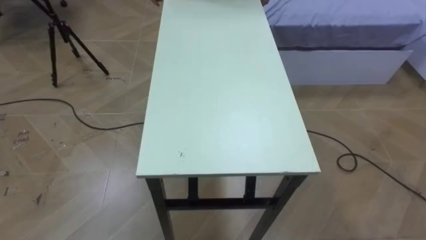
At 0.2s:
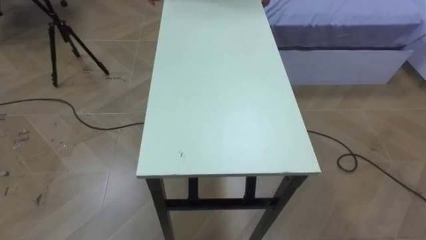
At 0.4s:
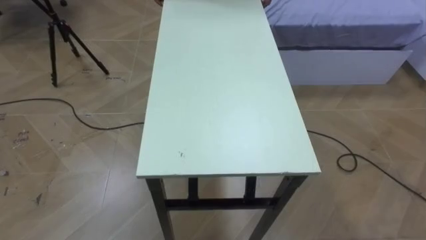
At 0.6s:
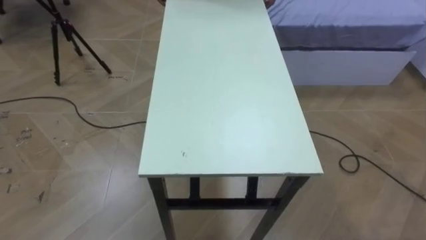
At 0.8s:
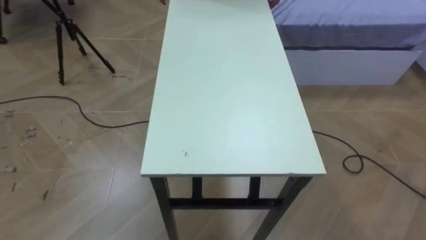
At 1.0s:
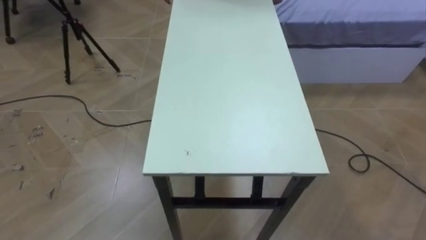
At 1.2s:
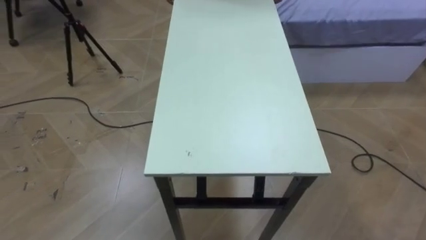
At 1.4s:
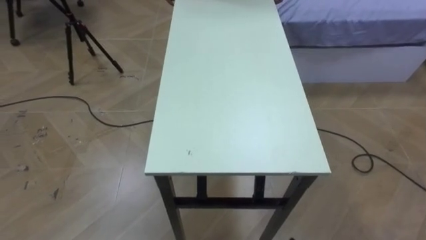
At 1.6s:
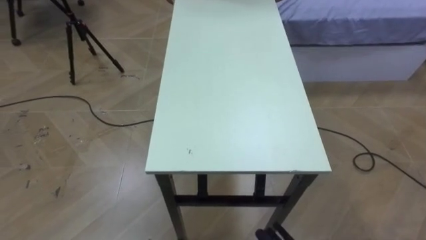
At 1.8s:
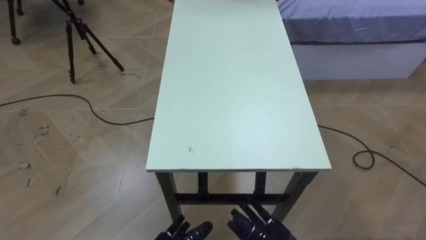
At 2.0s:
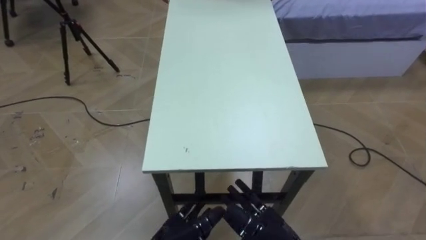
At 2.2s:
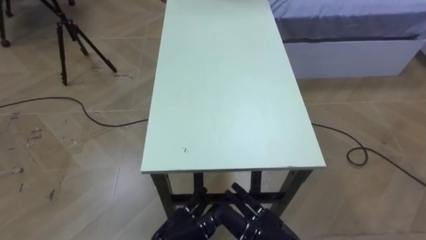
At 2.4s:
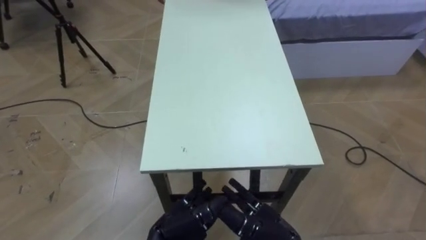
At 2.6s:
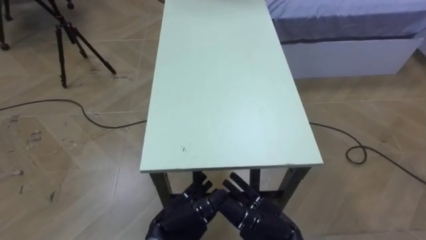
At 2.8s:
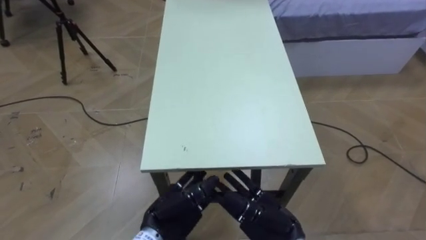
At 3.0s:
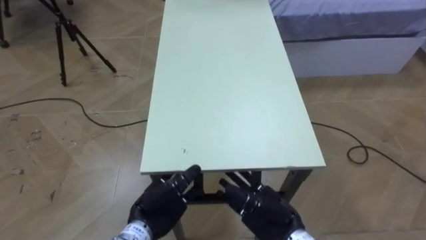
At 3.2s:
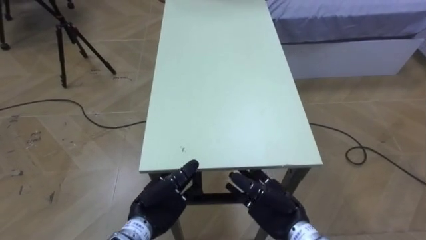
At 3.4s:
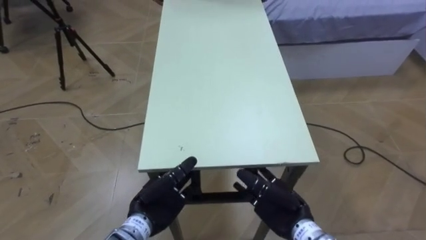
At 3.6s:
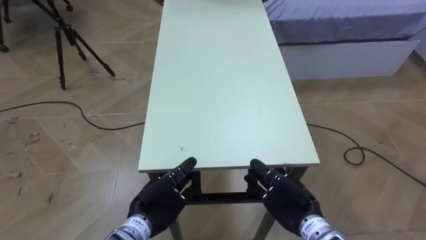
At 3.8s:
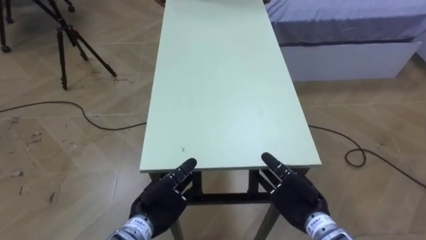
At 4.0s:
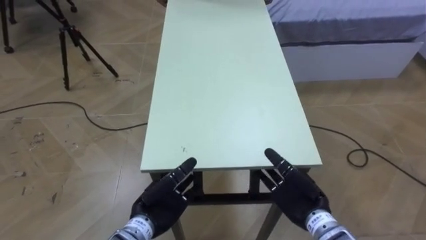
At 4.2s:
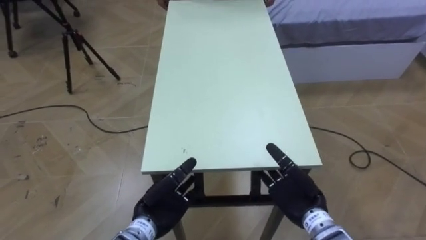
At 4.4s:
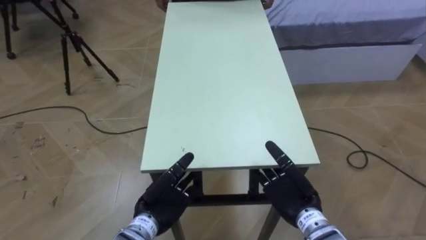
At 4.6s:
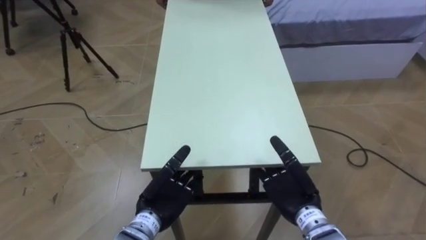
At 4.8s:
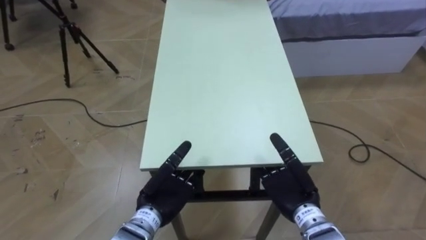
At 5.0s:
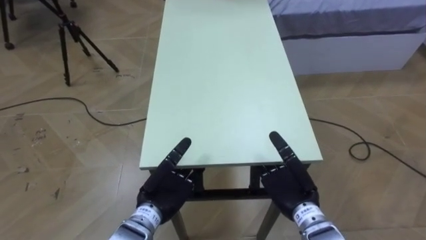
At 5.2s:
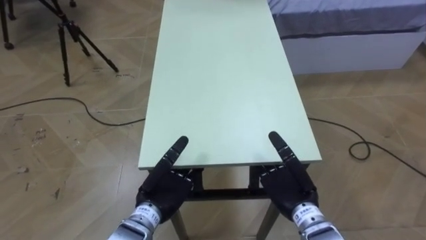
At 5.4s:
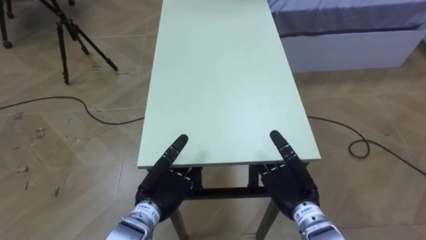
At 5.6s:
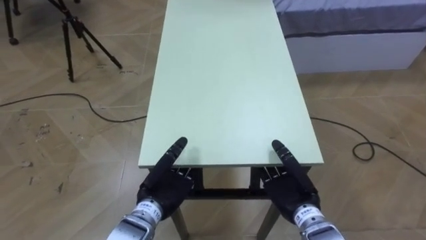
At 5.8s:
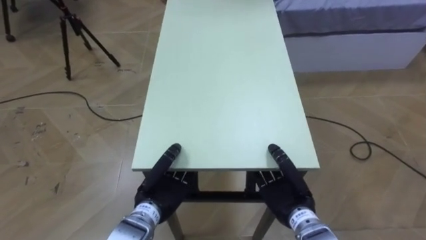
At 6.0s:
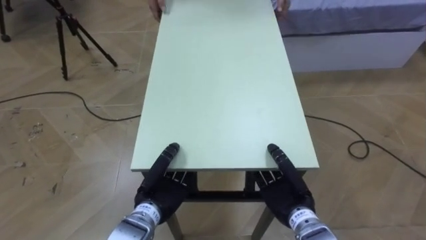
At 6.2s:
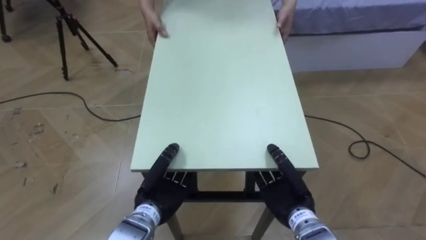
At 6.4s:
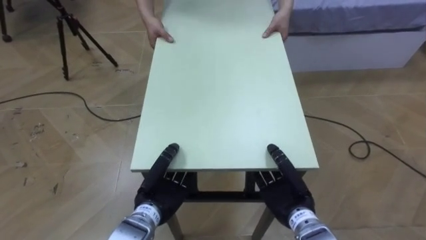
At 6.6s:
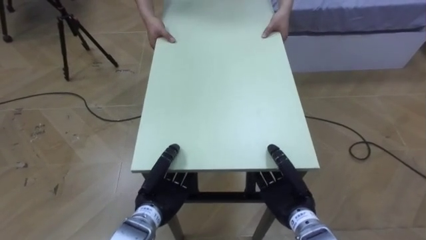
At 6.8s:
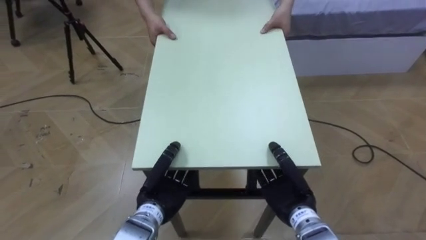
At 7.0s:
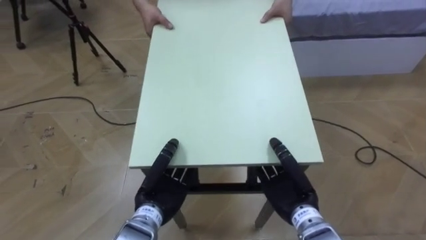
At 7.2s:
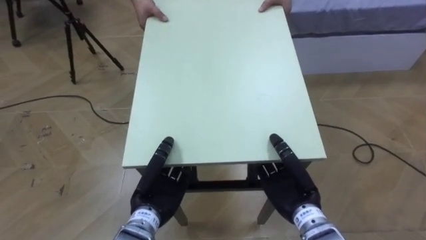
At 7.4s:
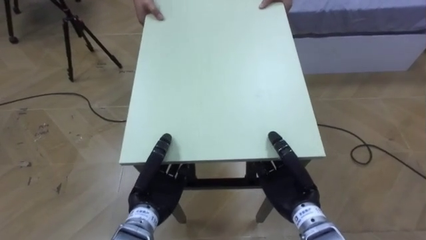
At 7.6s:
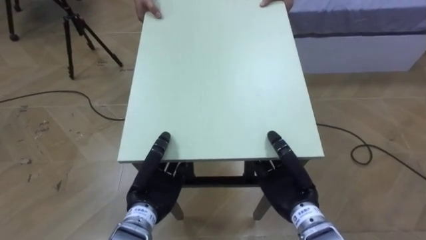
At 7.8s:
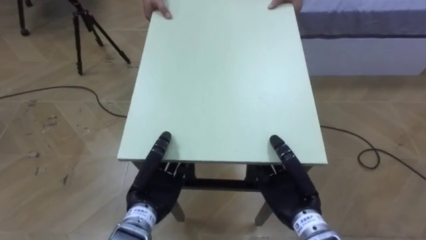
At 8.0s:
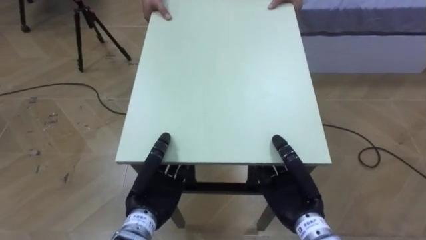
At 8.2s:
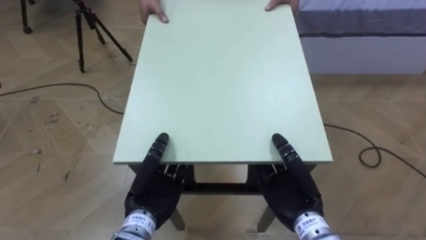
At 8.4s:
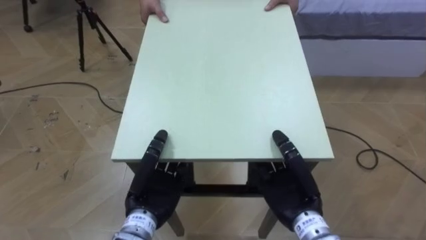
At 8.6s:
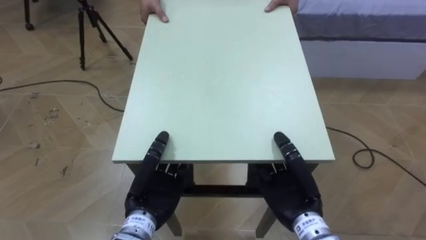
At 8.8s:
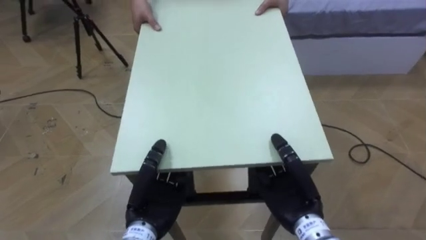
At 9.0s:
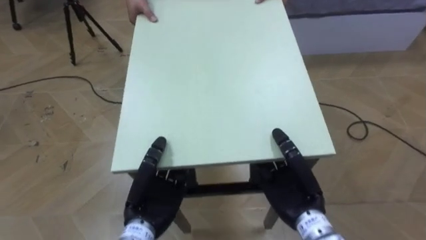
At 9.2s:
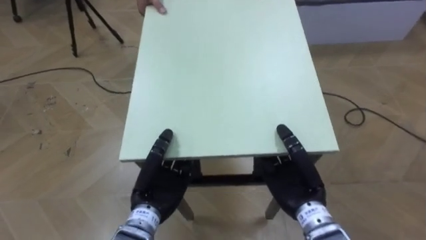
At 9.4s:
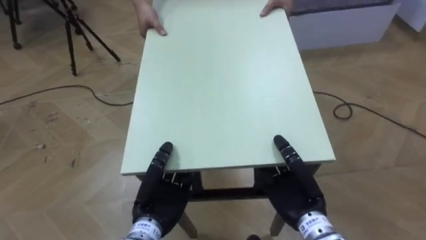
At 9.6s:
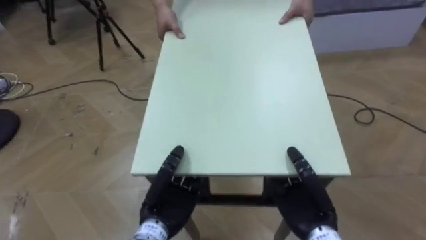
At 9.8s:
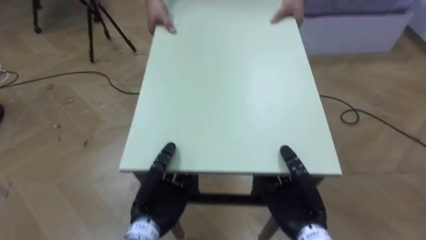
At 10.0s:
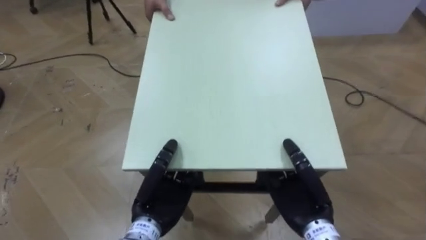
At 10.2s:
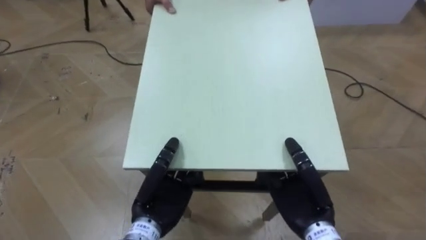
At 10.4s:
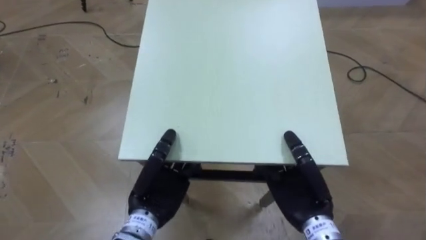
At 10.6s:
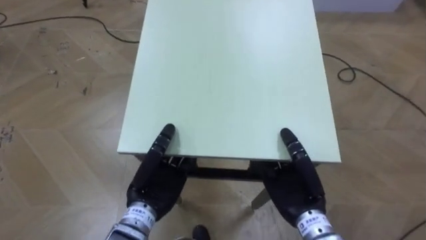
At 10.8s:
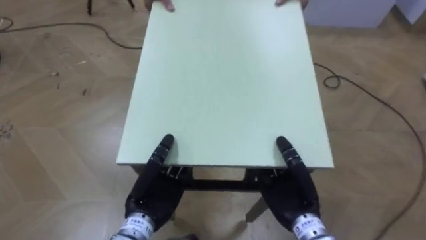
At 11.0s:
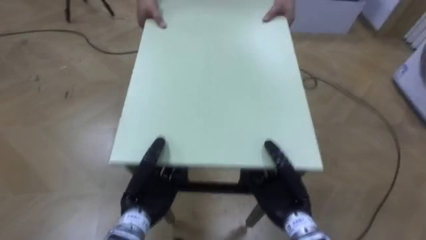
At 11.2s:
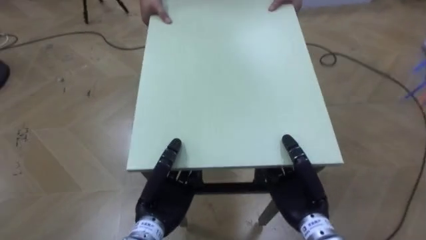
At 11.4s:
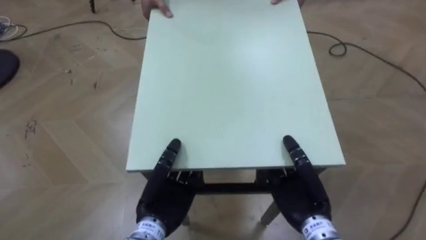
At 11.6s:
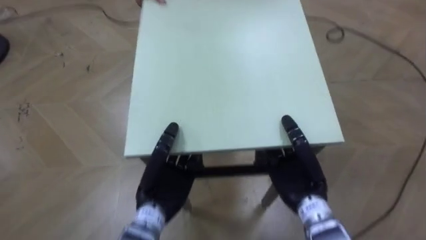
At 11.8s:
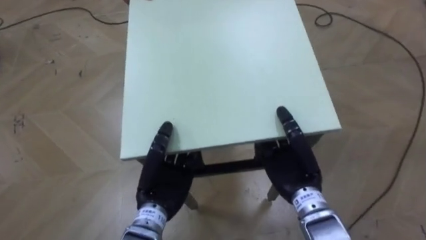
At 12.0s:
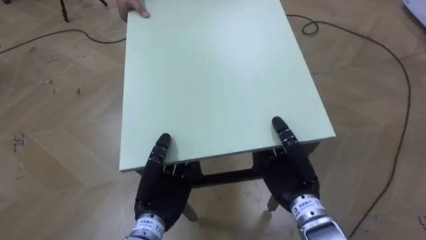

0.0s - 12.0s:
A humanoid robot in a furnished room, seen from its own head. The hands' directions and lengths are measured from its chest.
Task of the whole recording: Move the table to the back left with someone.
3.0s - 4.4s: The right hand heads to the right, covering about 5 cm.
4.4s - 6.0s: The left hand closes. Meanwhile the right hand closes.

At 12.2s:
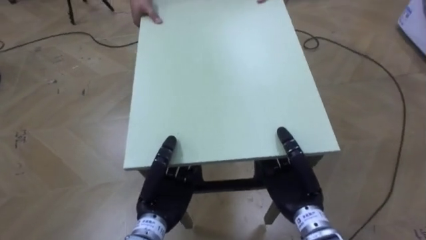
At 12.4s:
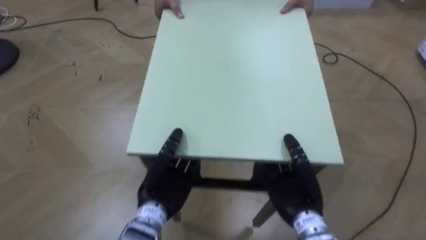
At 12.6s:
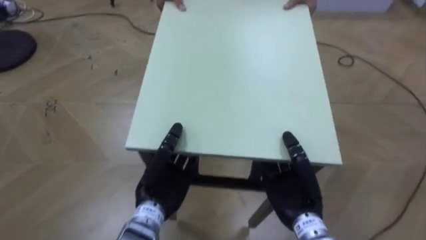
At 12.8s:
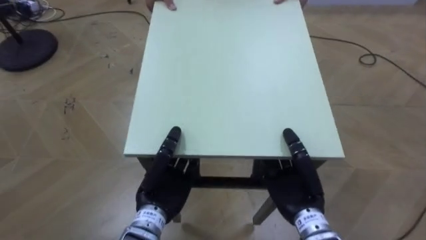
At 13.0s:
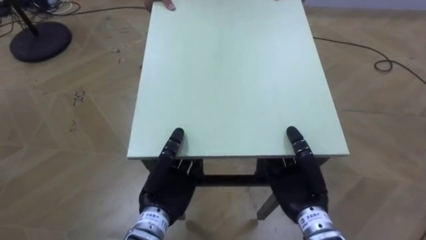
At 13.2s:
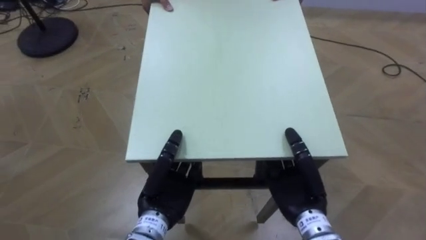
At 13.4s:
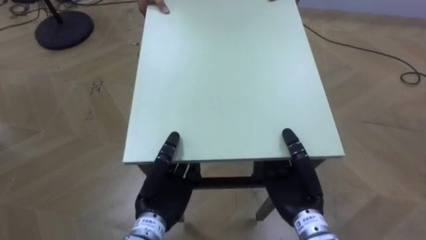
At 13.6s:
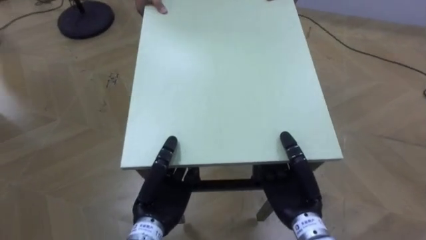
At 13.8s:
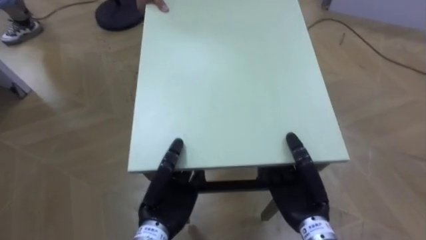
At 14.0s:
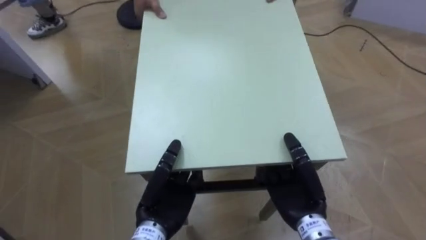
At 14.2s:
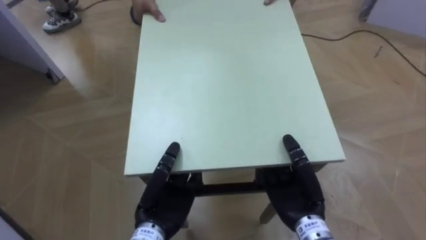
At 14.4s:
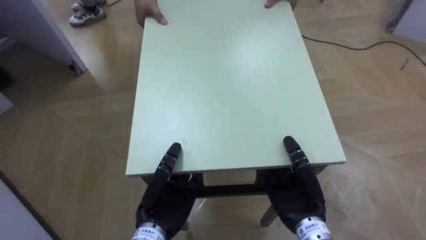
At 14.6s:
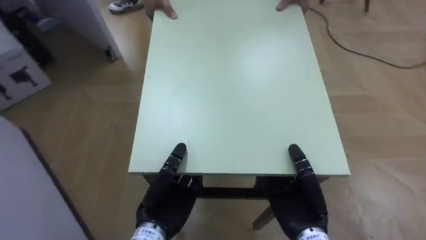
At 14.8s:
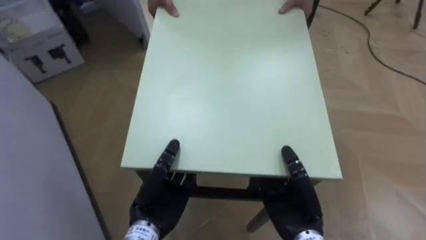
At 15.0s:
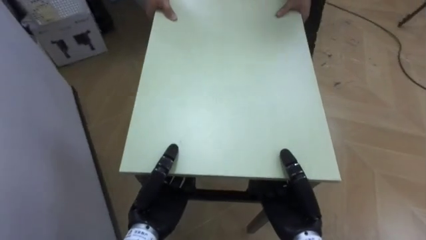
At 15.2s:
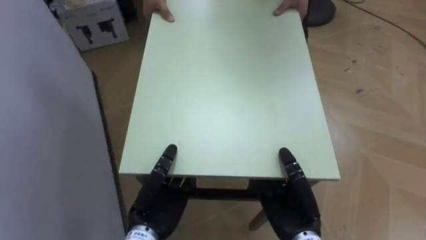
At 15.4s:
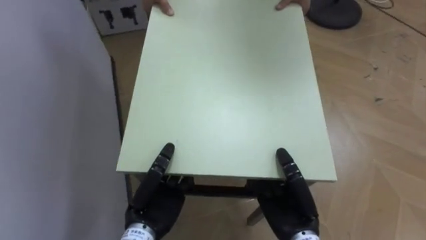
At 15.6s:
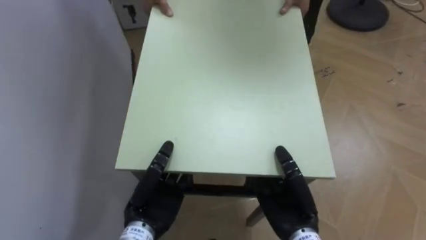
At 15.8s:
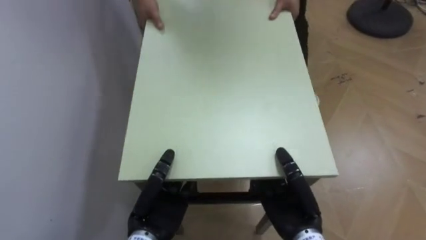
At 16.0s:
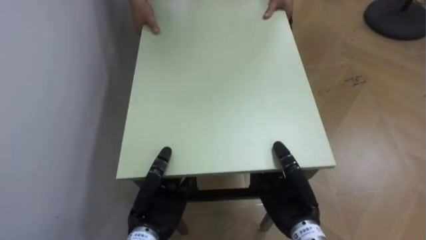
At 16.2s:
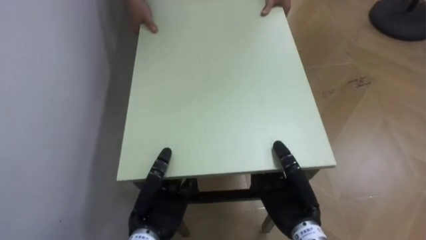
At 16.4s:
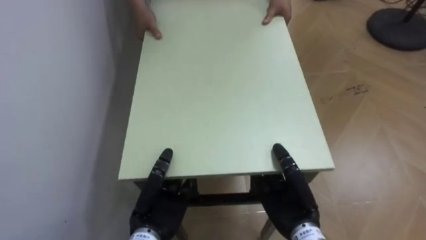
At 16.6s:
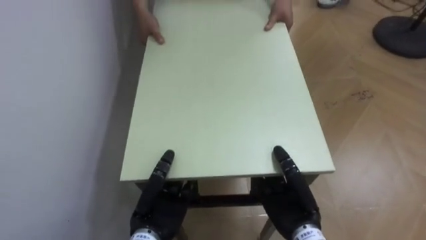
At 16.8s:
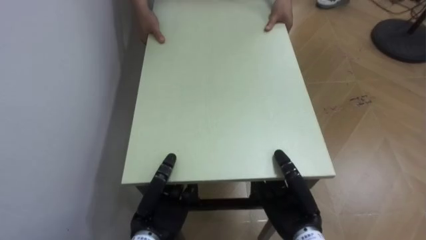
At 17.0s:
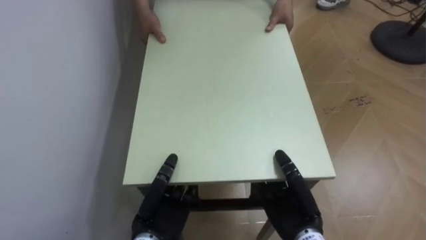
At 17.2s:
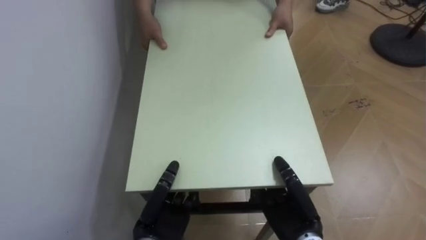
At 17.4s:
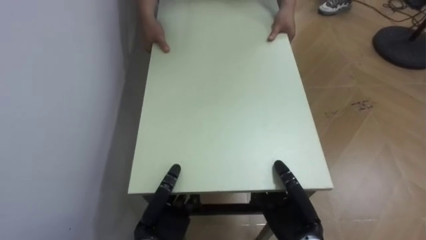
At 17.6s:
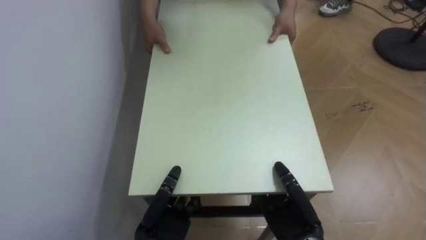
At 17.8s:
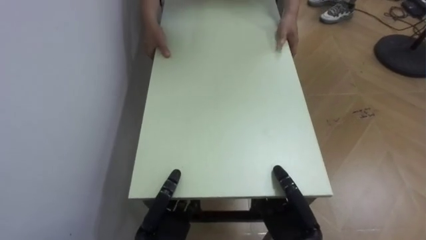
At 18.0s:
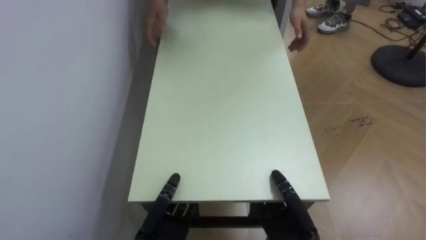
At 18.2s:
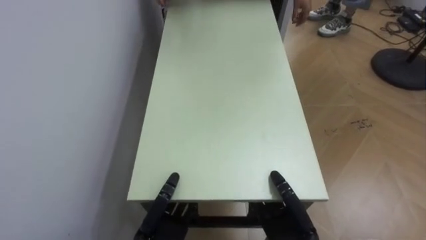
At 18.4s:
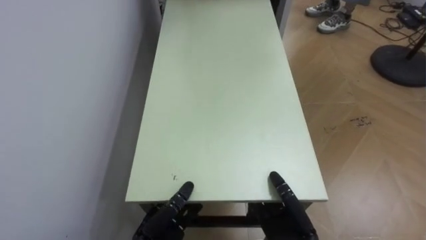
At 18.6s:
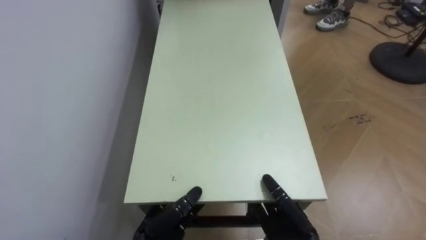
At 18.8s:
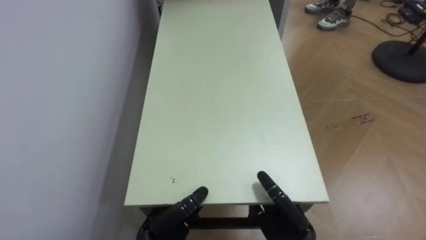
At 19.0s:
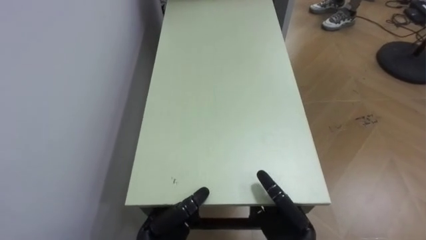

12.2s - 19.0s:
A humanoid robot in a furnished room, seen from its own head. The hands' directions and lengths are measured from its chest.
Task of the whole recording: Move the table to the back left with someone.
13.6s - 15.0s: The robot faces roughly 45 degrees further to its left.
15.0s - 16.2s: The robot turns to its left by some 30 degrees.
16.2s - 17.6s: The right hand changes place by approximately 5 cm.
17.6s - 19.0s: The right hand opens its fingers, while the left hand opens its fingers.
